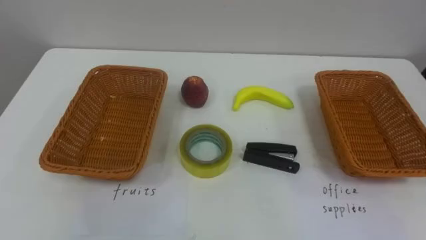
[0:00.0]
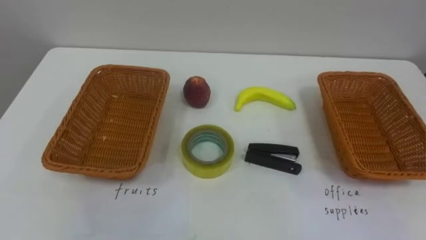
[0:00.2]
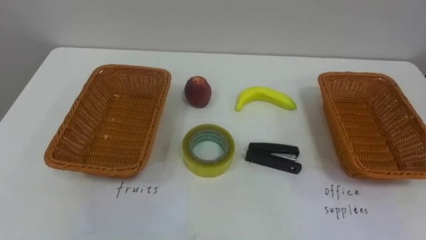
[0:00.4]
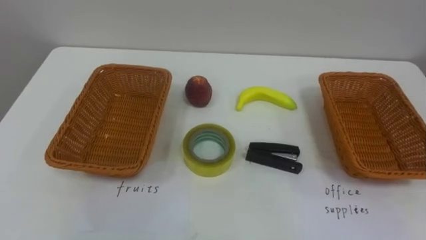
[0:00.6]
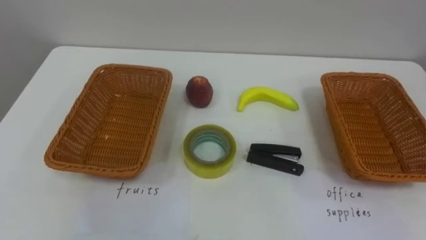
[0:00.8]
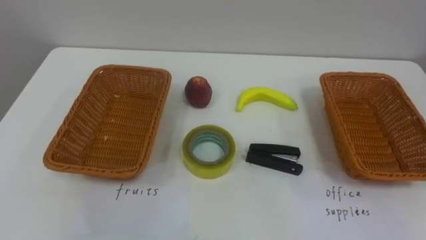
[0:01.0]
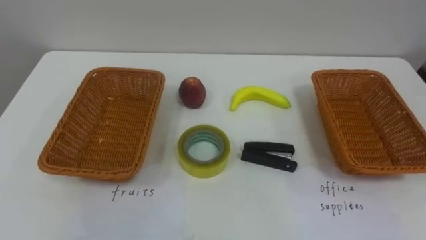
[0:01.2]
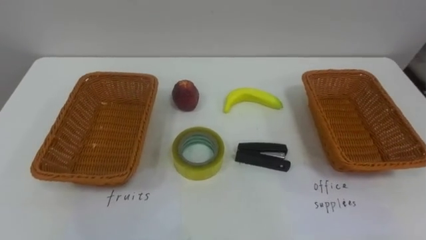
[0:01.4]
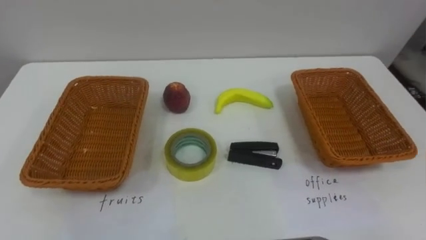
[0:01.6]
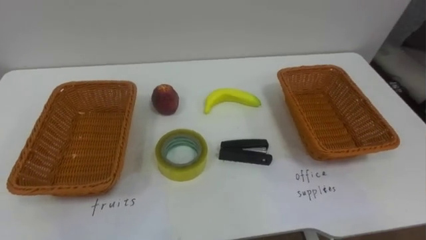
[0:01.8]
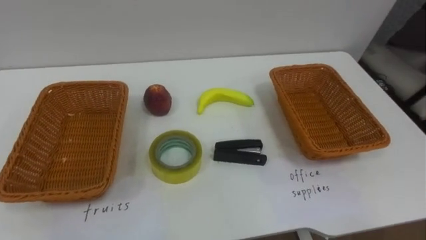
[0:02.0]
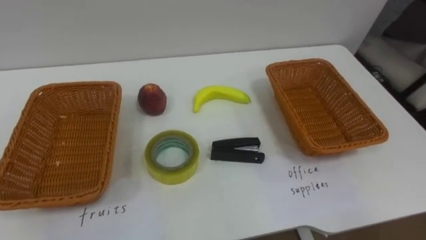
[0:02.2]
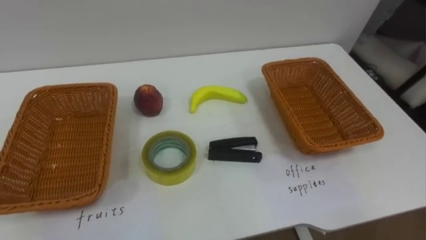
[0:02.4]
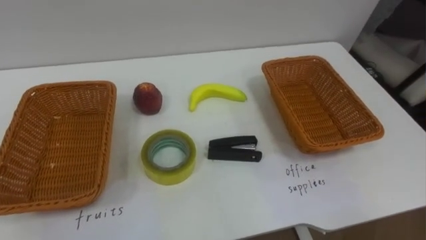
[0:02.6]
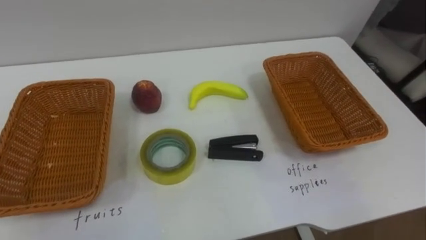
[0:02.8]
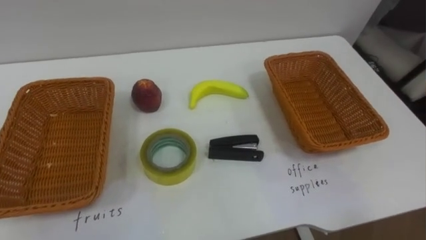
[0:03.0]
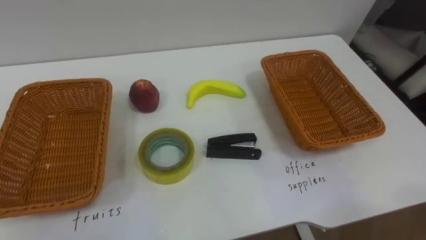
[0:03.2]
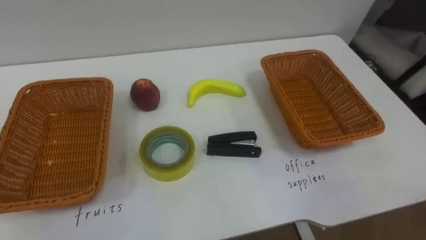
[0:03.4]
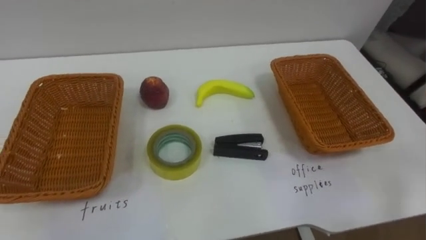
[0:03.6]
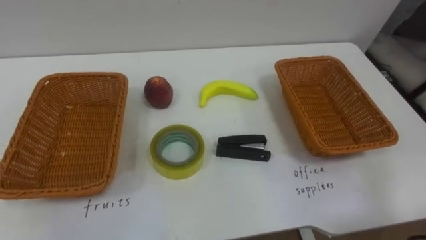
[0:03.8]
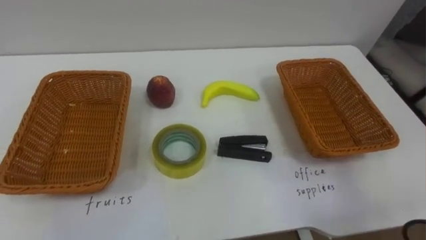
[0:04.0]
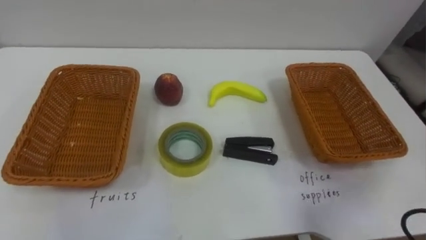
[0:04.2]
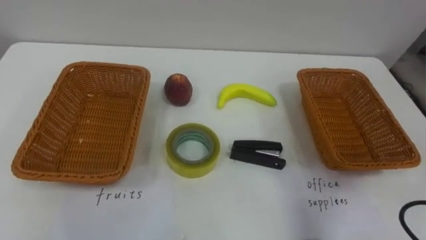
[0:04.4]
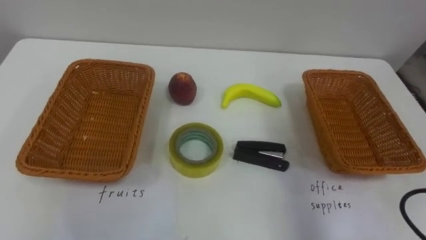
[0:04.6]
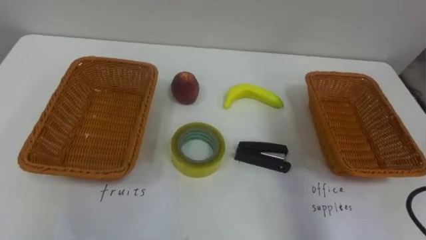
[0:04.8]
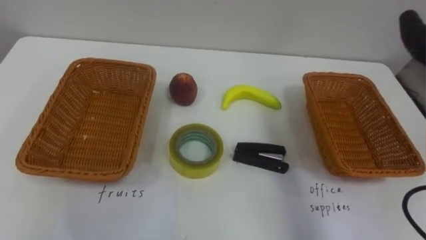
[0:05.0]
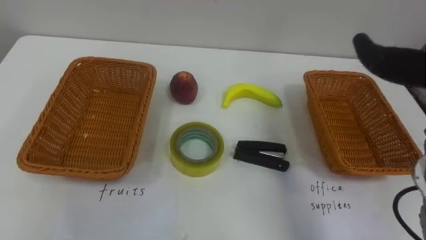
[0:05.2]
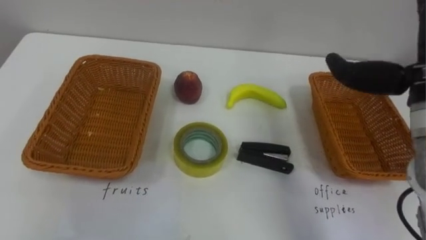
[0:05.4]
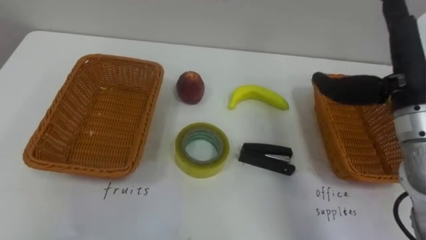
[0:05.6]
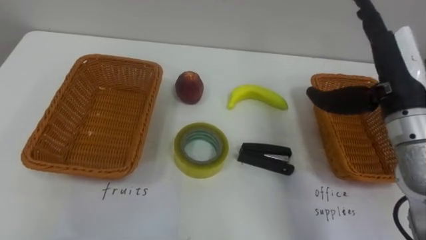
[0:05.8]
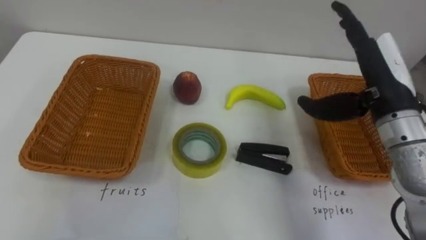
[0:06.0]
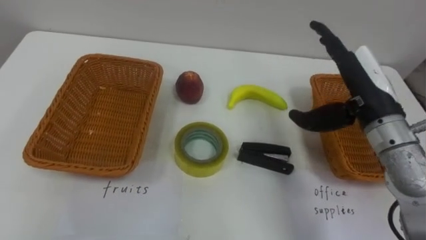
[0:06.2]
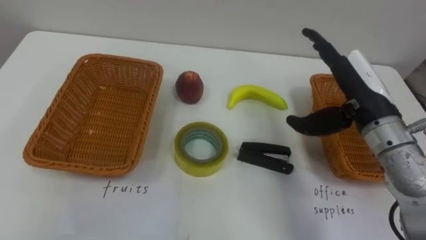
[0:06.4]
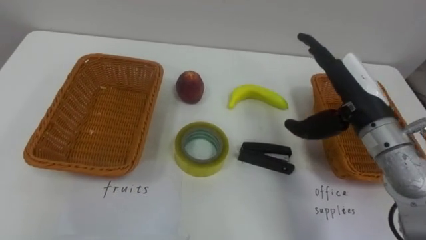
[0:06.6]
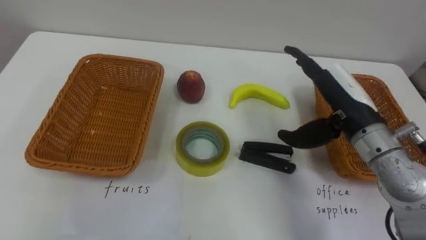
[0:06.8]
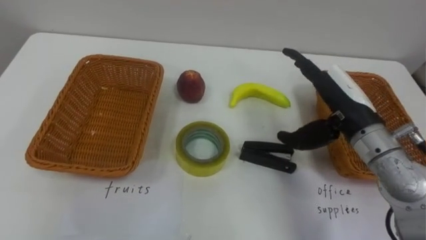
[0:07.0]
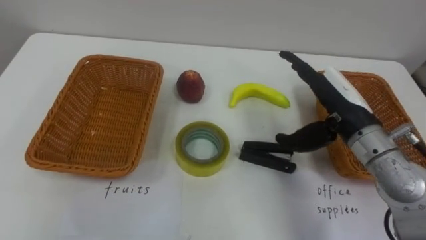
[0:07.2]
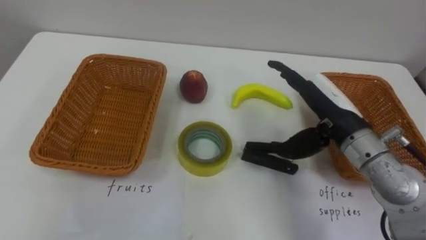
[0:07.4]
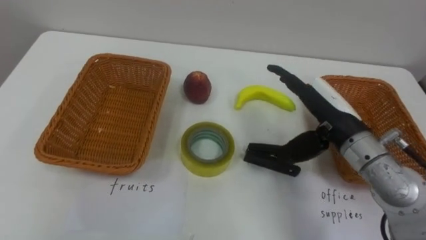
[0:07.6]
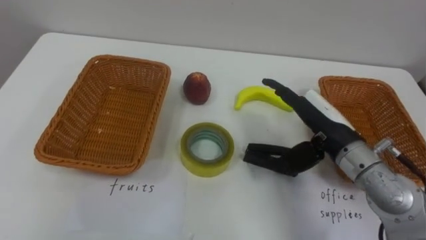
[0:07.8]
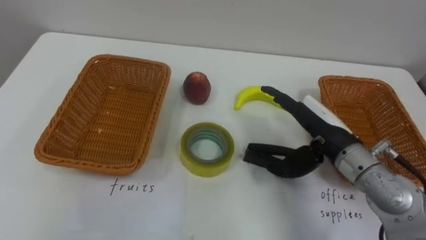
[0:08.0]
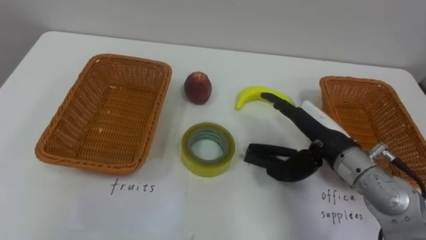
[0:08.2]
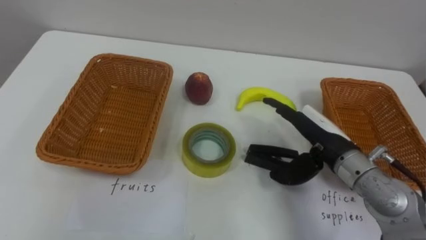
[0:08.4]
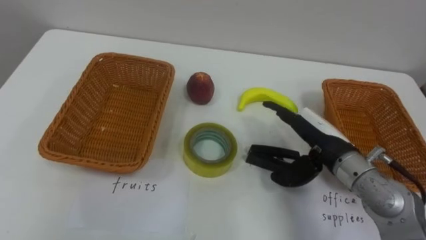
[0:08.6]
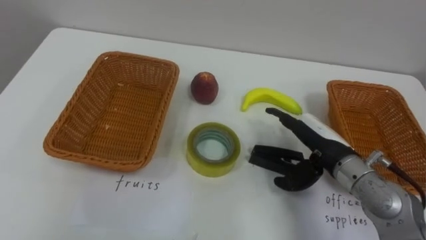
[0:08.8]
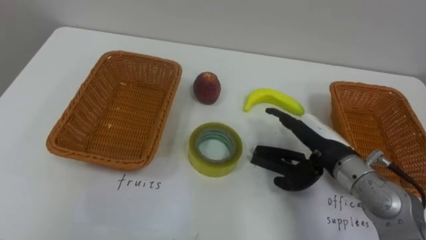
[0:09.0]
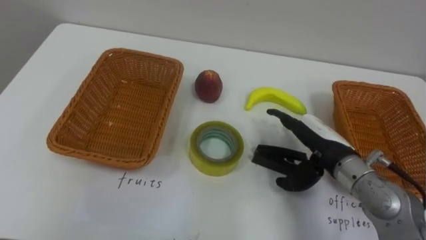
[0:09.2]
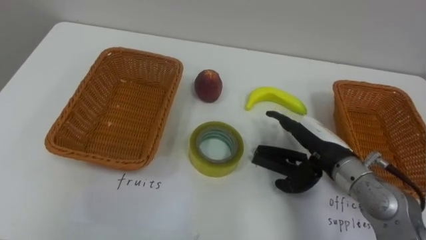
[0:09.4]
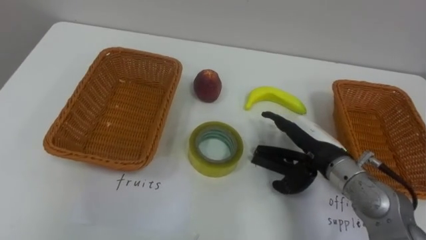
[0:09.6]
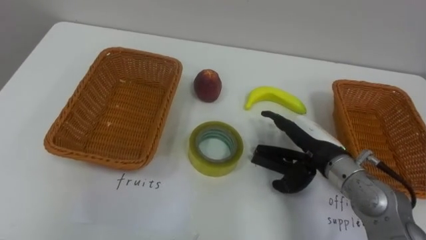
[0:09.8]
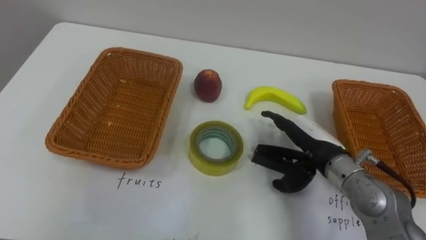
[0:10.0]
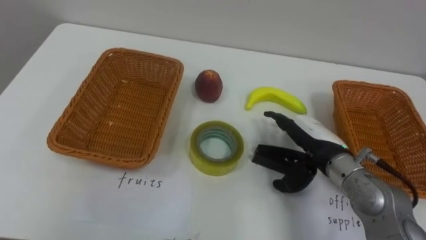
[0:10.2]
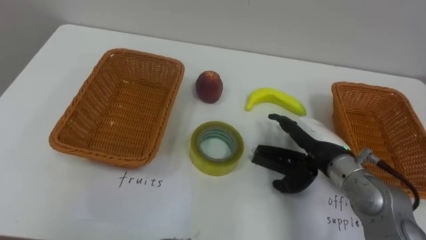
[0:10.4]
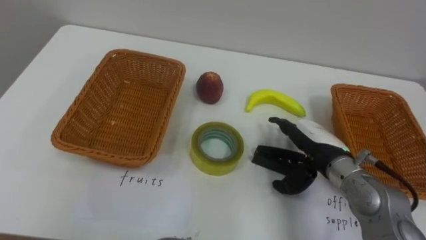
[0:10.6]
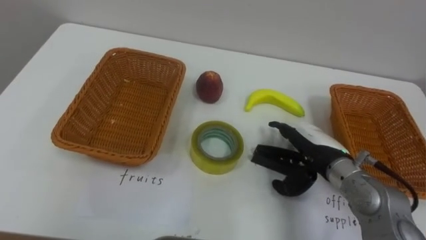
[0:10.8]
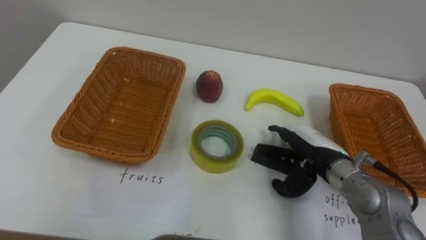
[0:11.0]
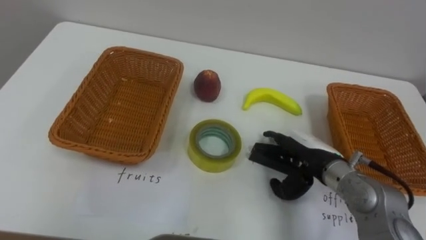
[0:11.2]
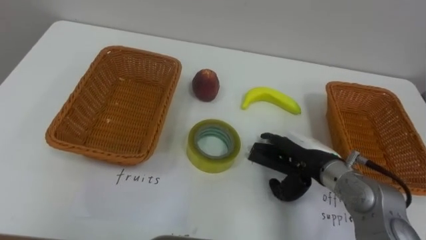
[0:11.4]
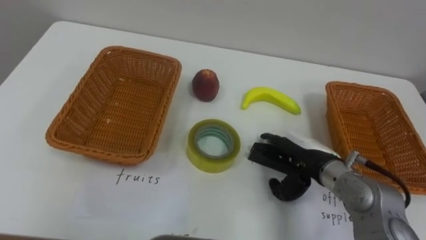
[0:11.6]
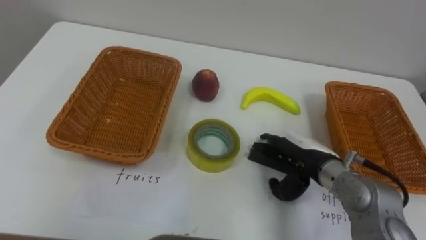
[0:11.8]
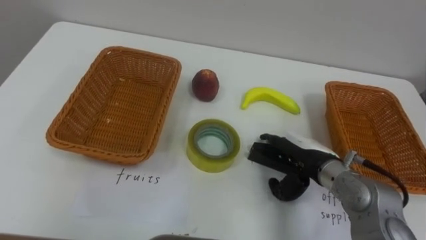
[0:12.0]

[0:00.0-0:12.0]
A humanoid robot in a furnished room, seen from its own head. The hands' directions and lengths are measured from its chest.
Task of the whole recording: Separate the items on the table and place them into the two baskets.
0:06.0 to 0:07.6: The right hand is displaced downward and to the left by roughly 10 cm.
0:07.6 to 0:09.0: The right hand heads downward, covering approximately 5 cm.

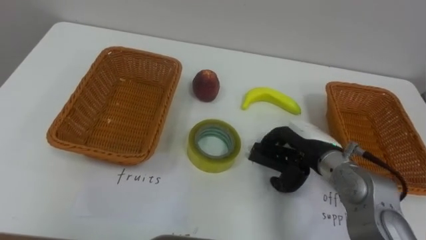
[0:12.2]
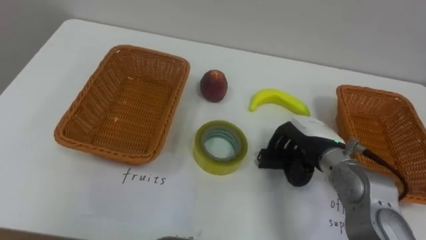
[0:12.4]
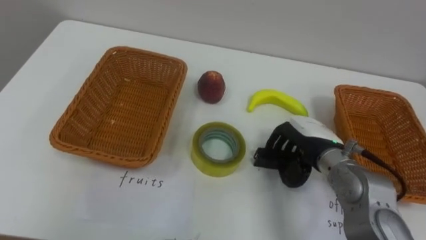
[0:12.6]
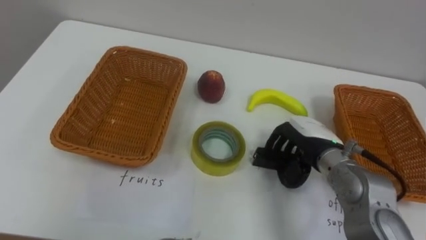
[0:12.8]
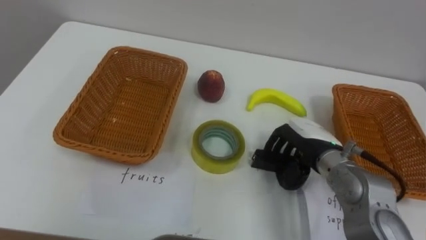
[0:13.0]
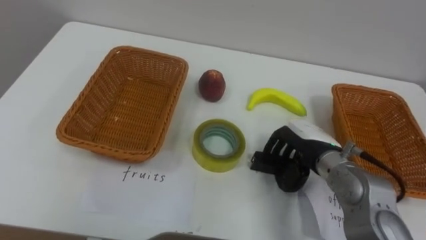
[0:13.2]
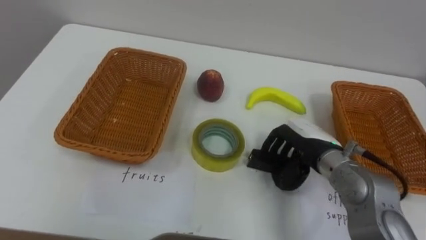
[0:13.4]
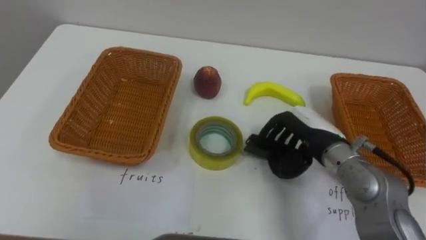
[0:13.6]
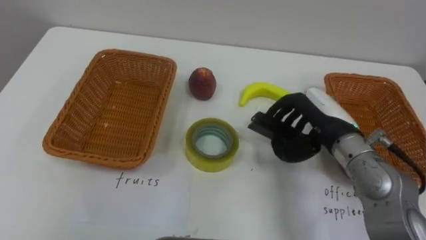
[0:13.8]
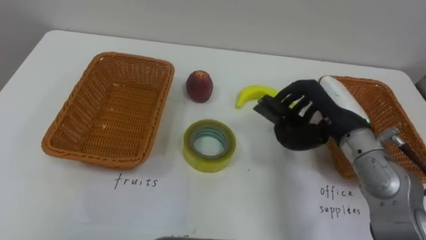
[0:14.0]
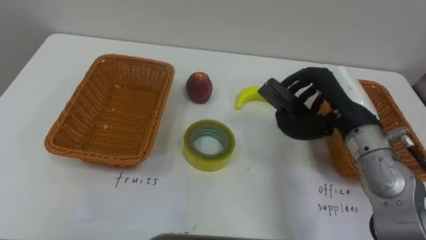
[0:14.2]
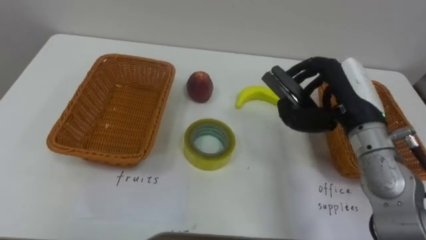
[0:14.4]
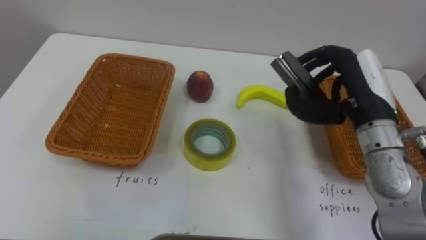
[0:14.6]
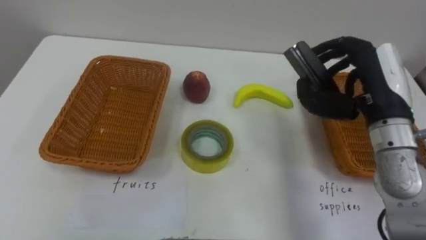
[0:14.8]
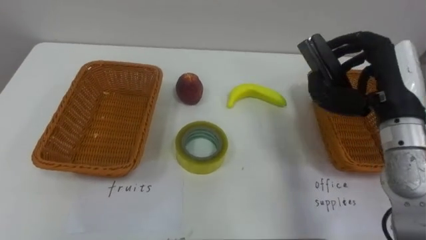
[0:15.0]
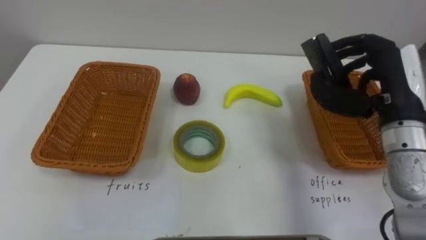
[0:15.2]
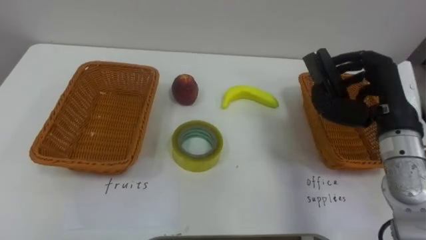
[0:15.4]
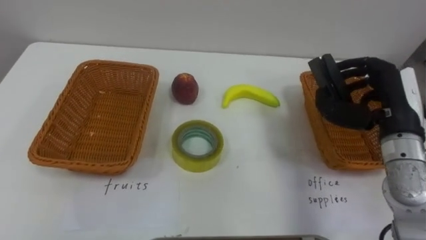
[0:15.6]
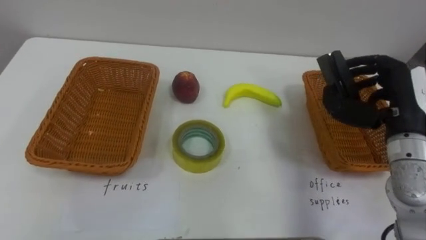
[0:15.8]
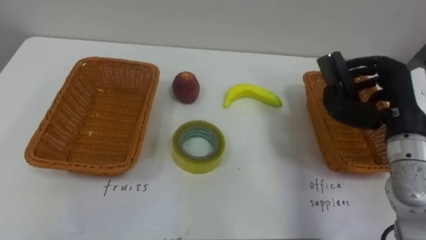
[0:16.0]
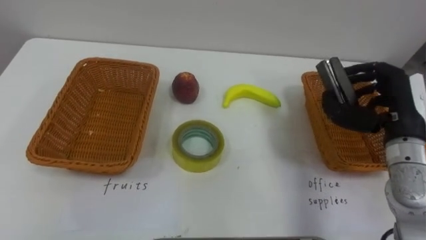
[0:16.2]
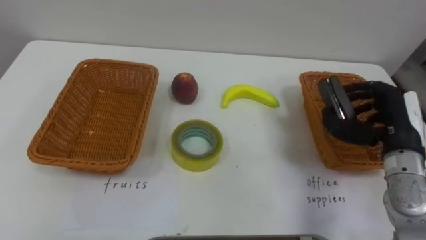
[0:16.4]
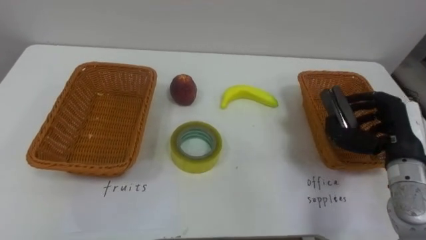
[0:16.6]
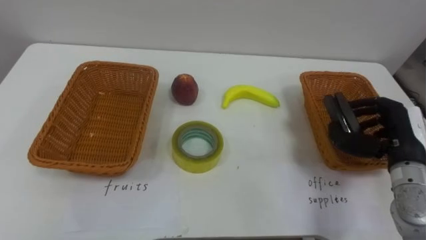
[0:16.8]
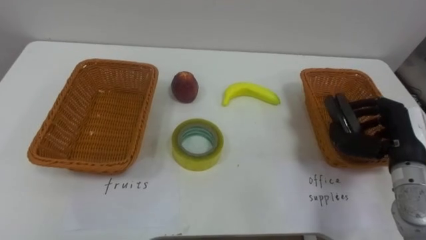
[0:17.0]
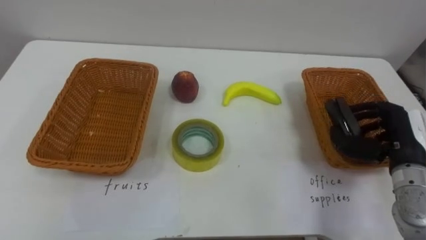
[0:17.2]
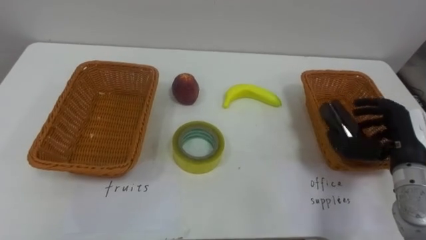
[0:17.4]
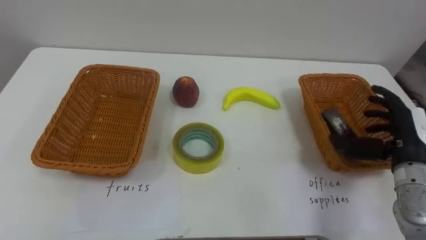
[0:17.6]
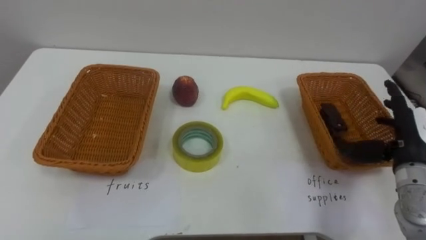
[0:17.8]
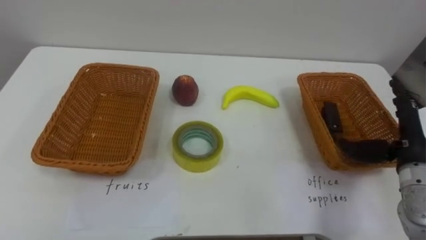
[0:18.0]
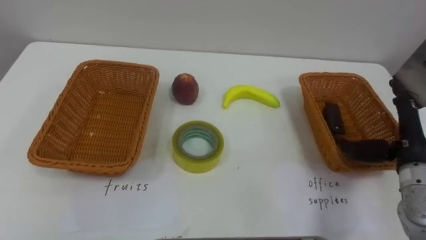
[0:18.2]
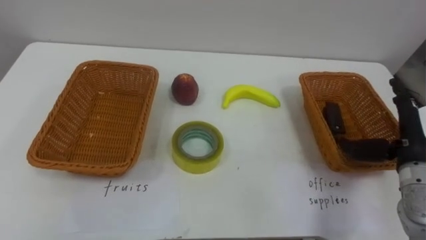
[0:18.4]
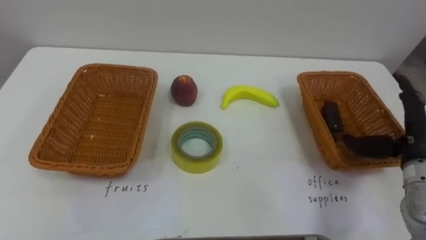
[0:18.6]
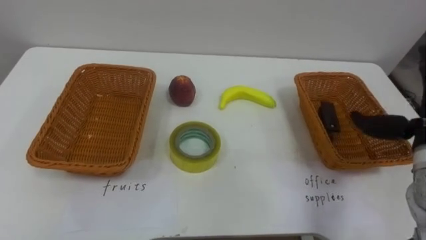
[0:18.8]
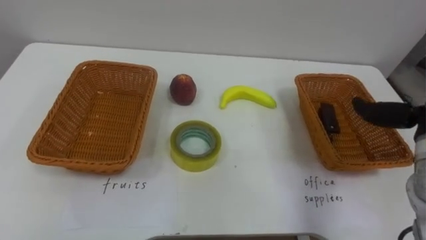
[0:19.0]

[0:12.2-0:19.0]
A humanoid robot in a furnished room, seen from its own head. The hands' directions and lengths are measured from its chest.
Task of the whole recording: Separate the items on the table and place them into the two baskets.
0:13.6 to 0:15.0: The right hand heads upward and to the right, covering approximately 15 cm.
0:15.0 to 0:16.2: The right hand changes place by some 5 cm.
0:16.2 to 0:17.6: The right hand travels downward by about 5 cm, and opens up.
